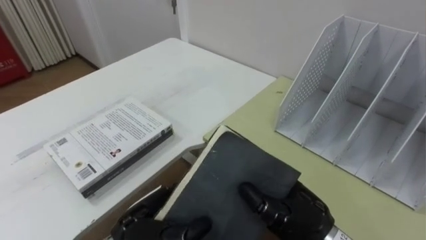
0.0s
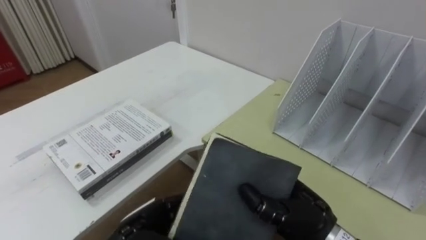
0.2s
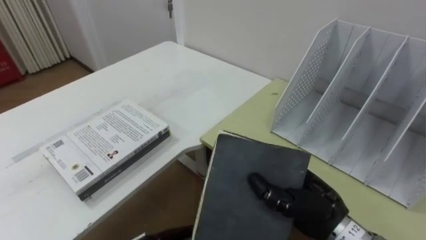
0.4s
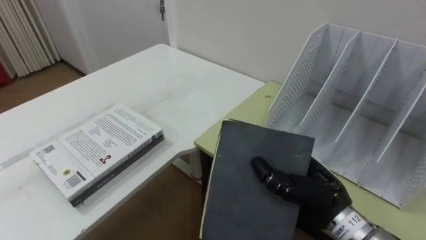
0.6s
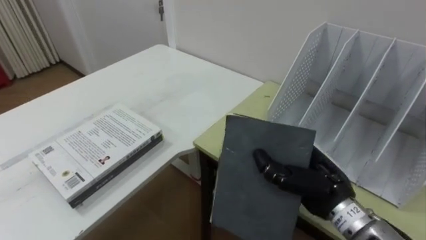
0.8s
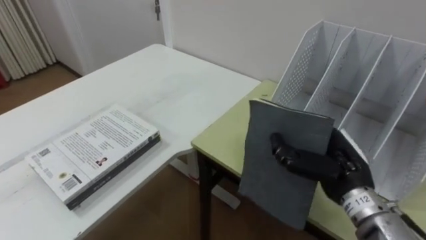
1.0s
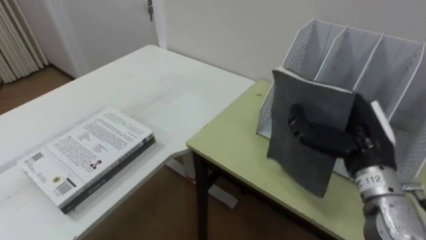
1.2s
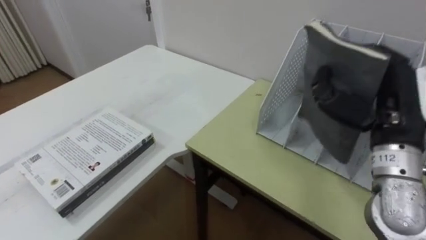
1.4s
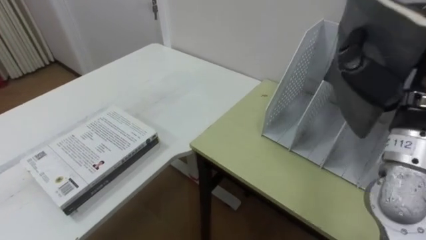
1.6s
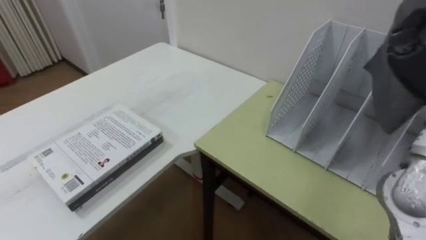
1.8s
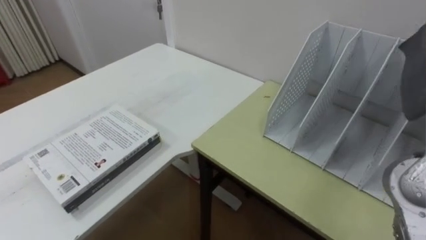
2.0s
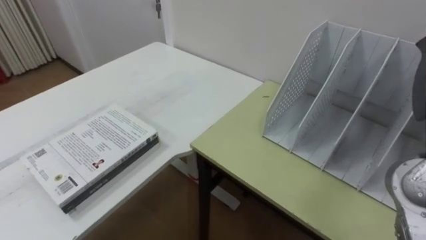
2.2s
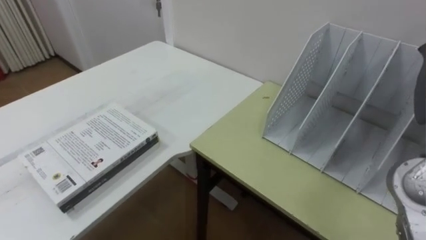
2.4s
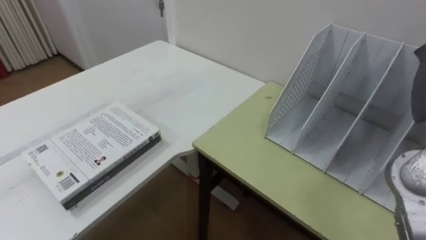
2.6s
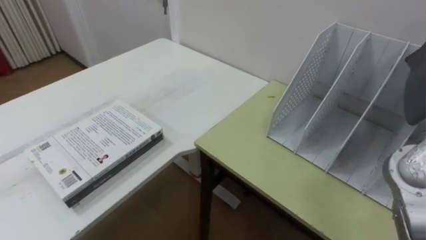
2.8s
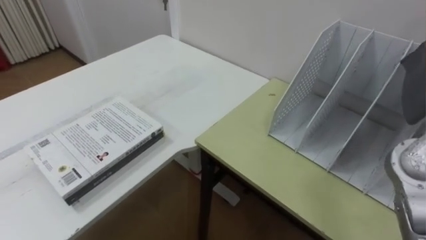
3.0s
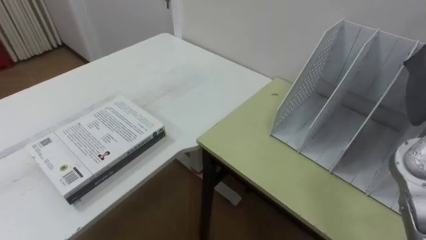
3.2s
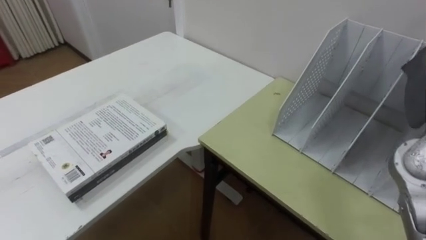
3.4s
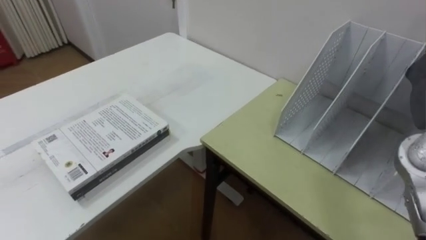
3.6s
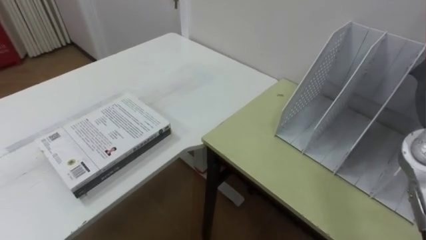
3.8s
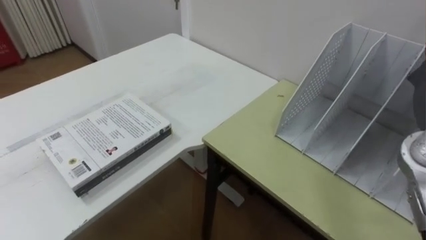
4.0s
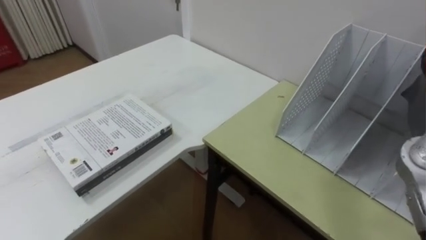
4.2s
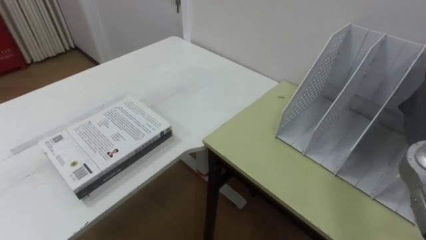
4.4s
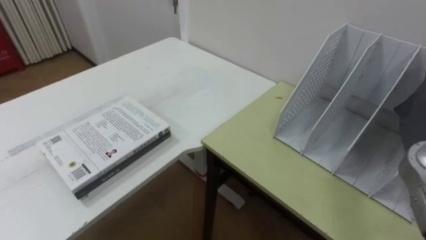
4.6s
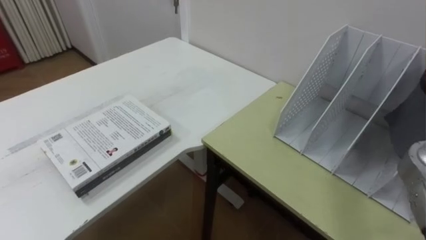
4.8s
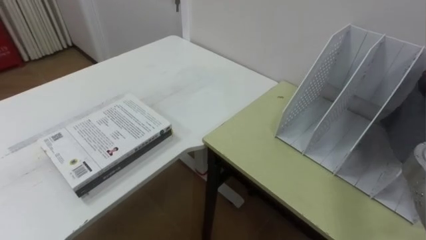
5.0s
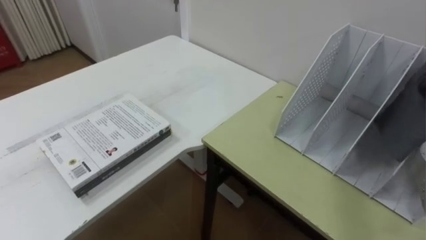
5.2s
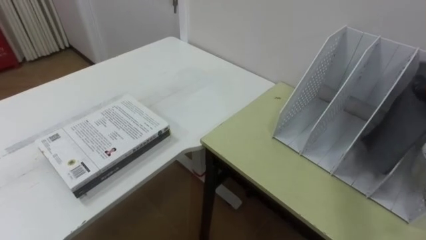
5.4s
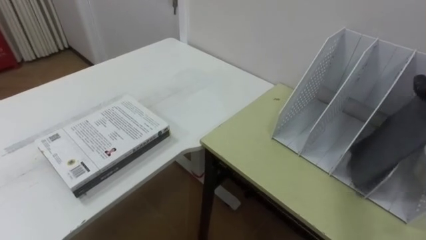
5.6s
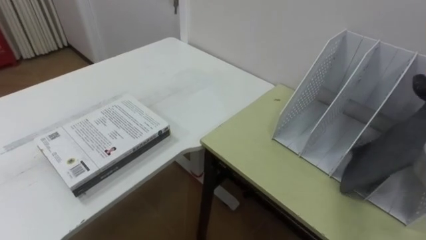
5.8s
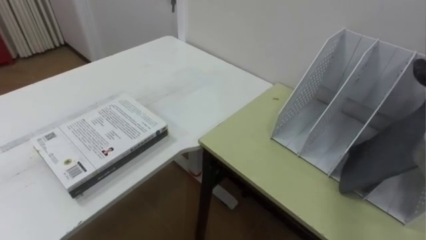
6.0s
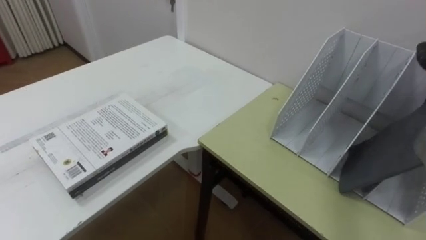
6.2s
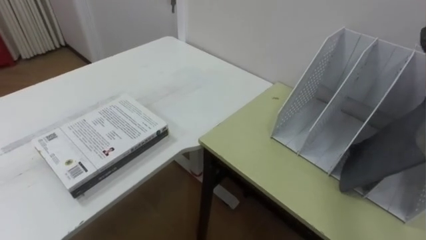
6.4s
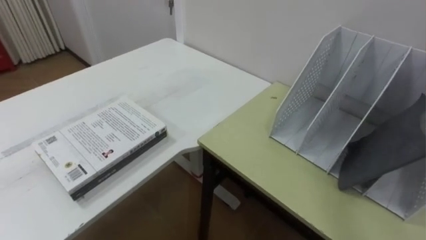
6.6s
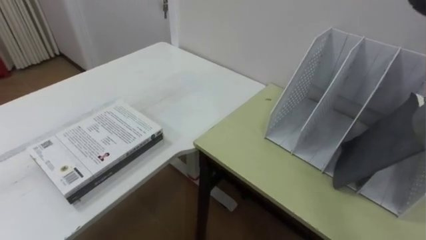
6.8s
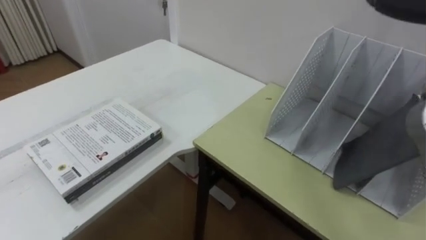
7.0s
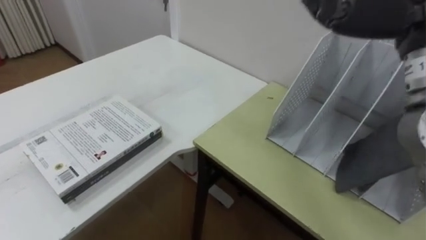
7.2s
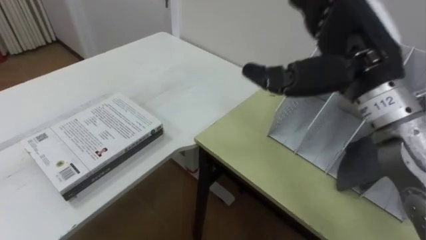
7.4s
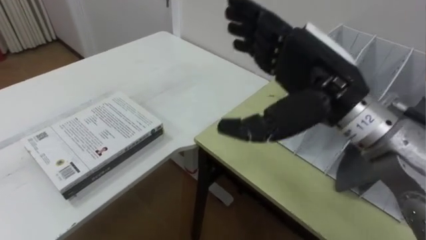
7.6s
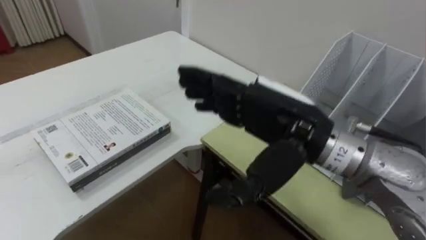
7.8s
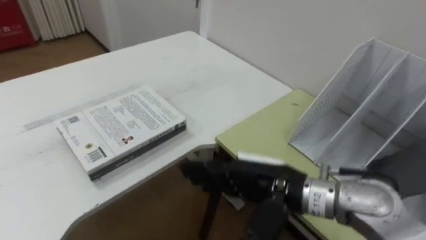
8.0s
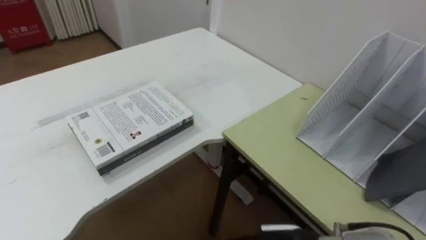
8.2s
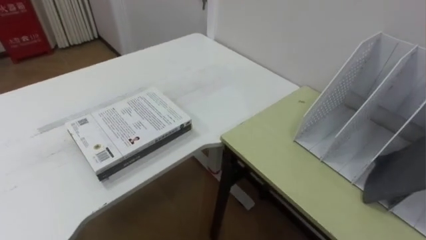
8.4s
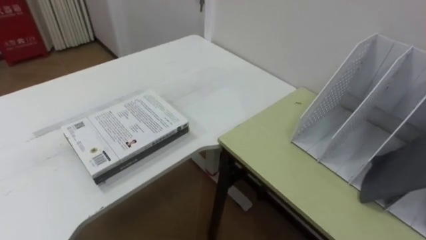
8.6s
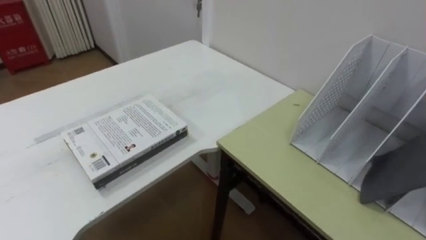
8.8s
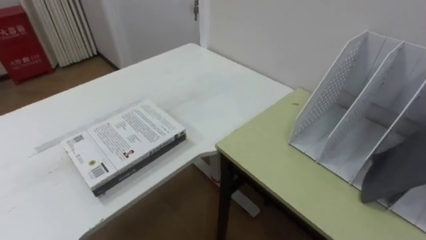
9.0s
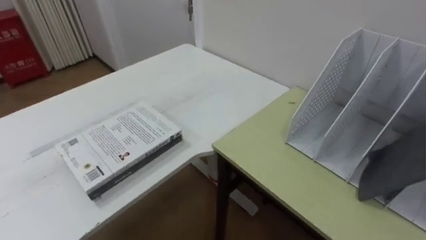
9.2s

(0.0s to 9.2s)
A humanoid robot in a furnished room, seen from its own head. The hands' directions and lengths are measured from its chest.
Task of the whole recording: Put the books on the table onto the bookshelf.
0.0s - 1.6s: The right hand goes approximately 20 cm upward and to the right.

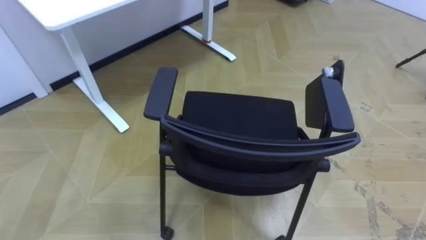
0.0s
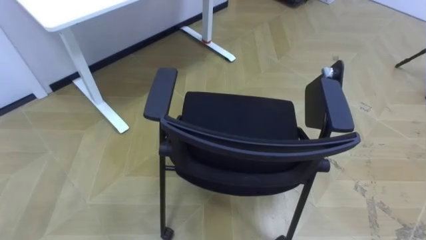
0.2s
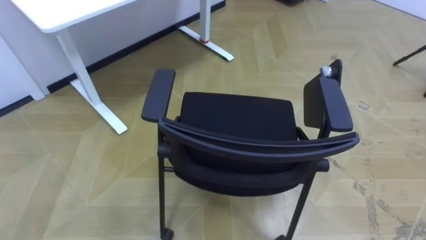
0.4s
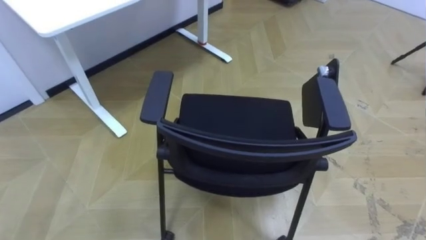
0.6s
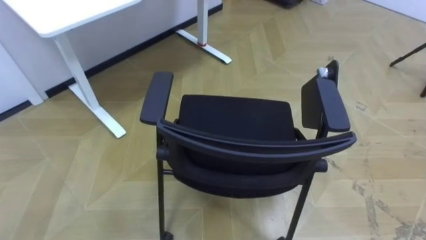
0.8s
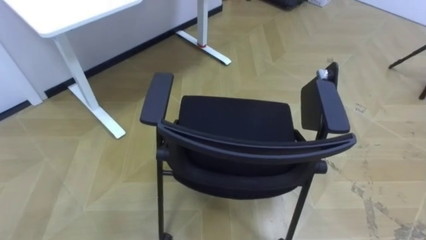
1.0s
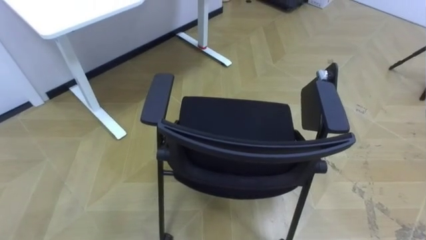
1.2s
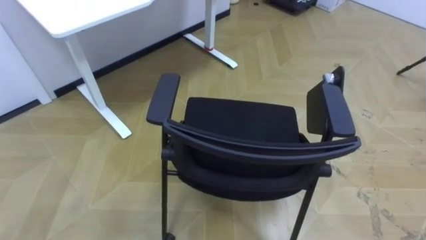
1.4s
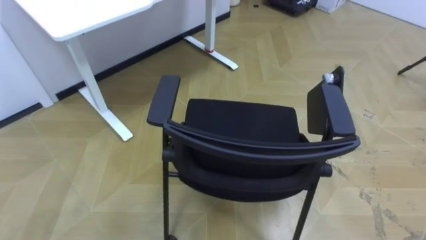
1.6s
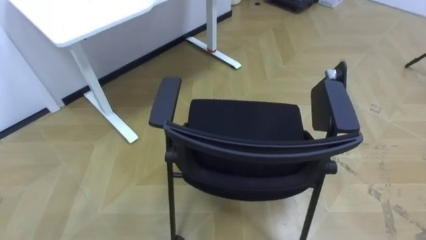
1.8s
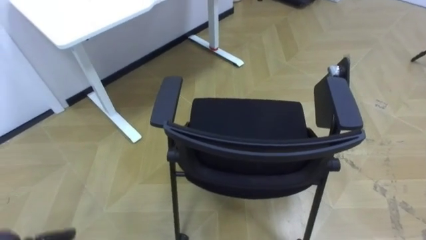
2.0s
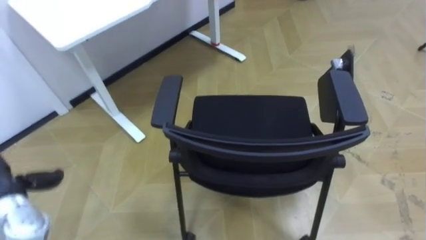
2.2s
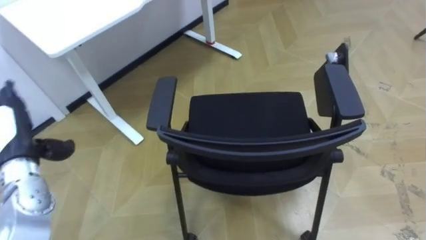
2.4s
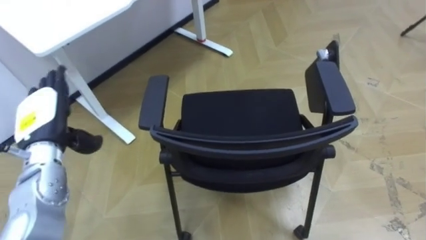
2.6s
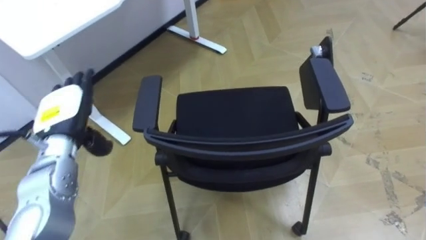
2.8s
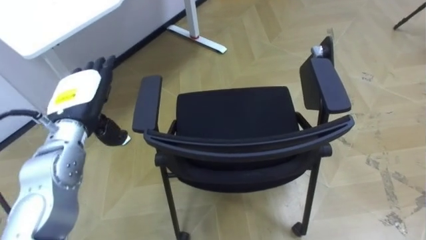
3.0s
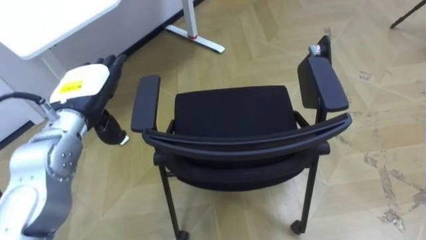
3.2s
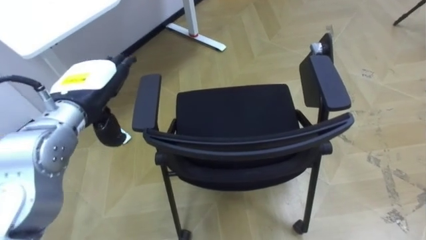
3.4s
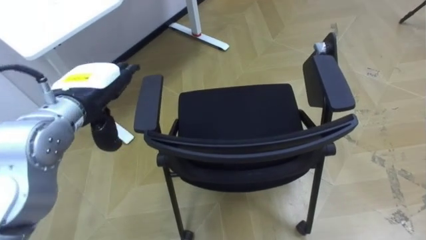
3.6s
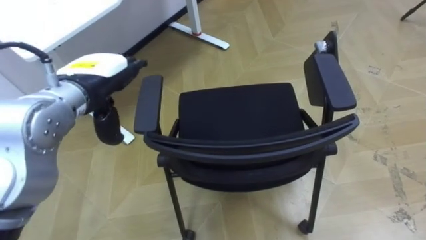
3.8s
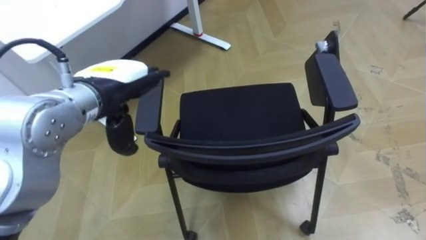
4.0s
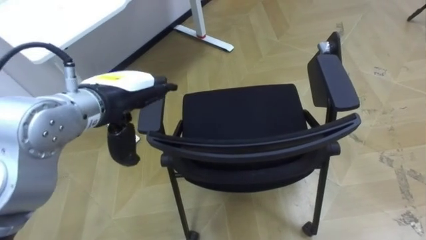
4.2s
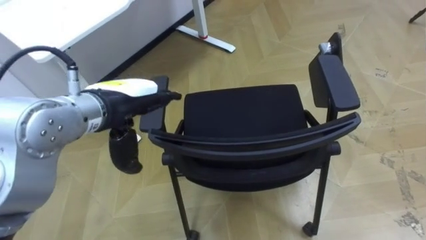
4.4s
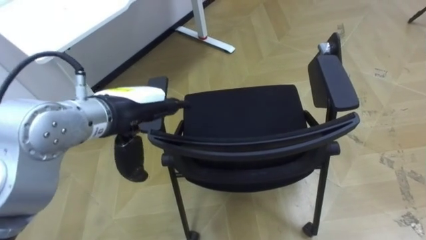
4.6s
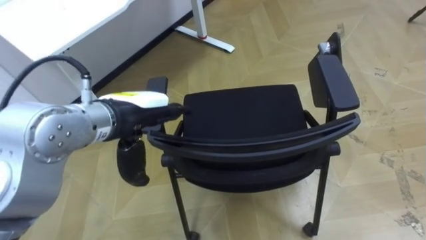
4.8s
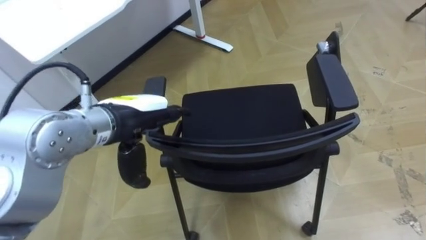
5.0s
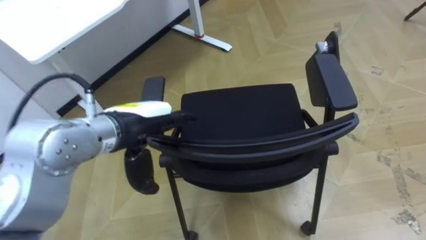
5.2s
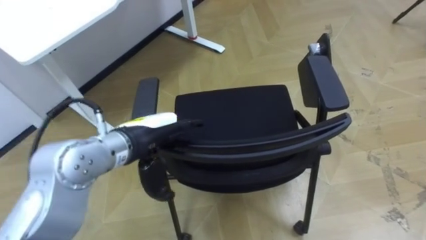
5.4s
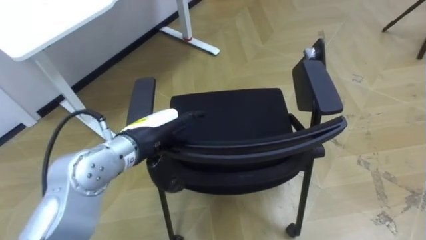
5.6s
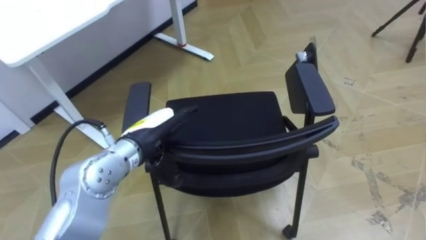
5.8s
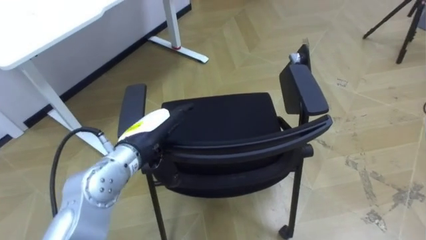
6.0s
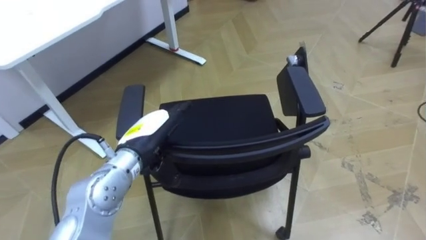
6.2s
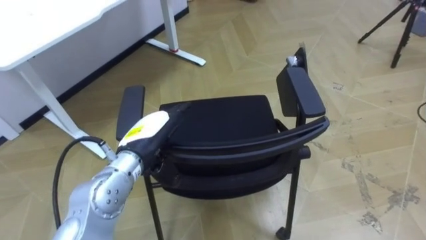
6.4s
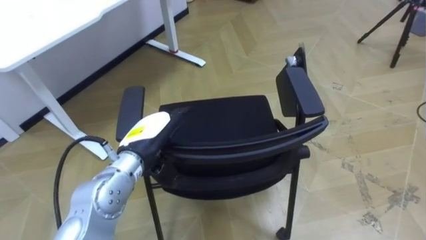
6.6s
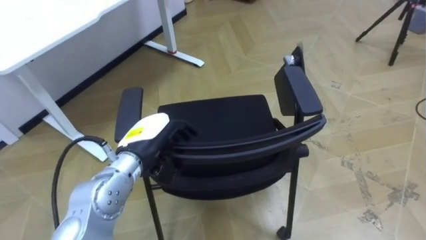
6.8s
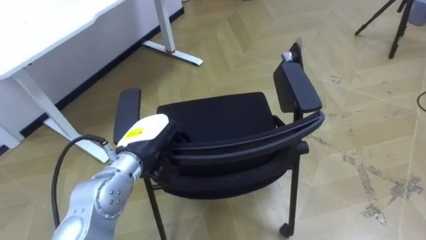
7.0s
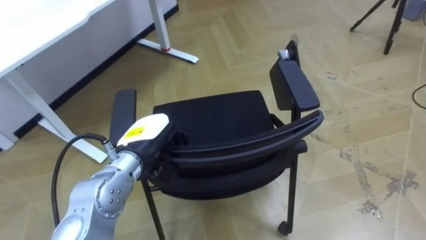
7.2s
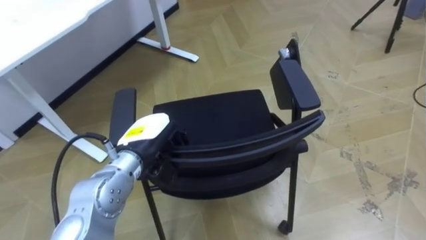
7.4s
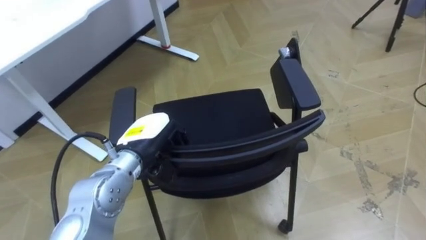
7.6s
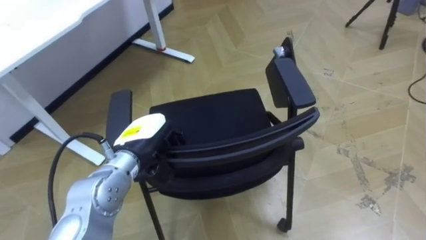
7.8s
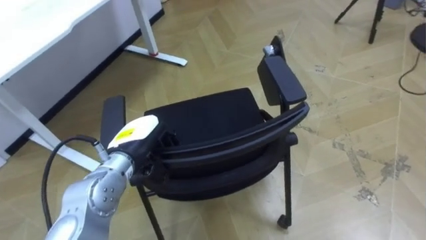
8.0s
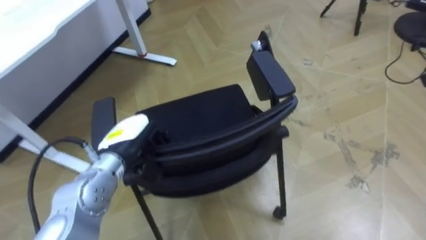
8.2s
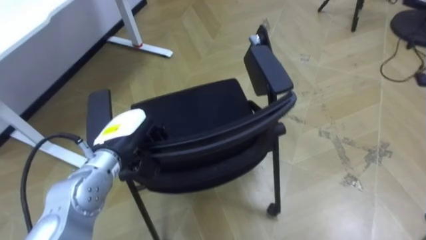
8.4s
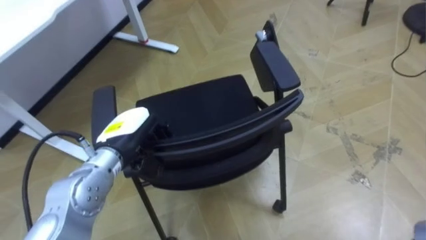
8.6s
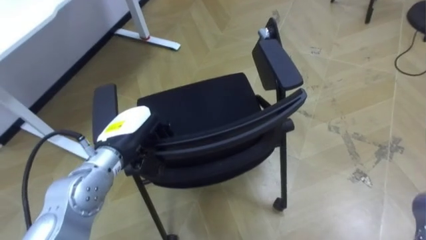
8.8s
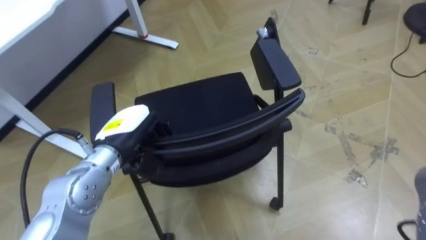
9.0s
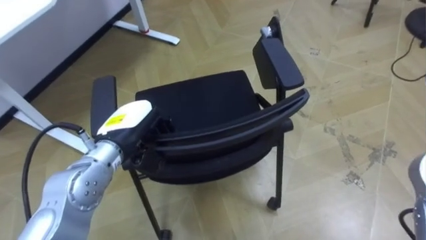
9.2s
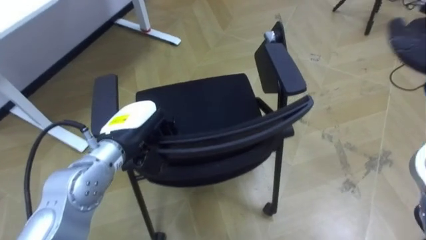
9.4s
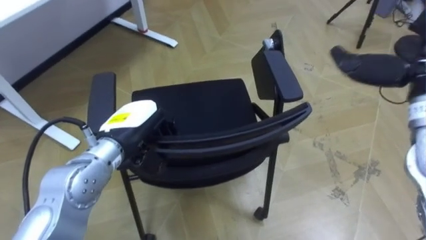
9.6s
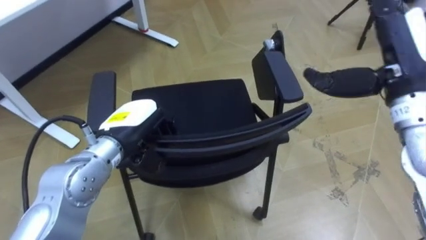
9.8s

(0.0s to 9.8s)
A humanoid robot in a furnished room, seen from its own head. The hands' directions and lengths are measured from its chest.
Task of the whole recording: Push the chair under the table.
2.8s - 4.2s: The left hand goes some 15 cm to the right and upward.
4.2s - 5.6s: The left hand heads downward, covering roughly 10 cm.
5.6s - 7.0s: The left hand closes up.
